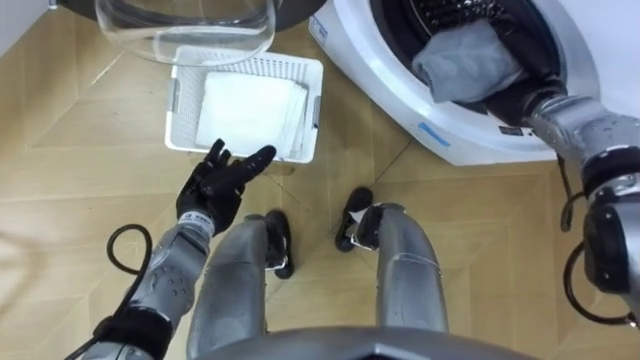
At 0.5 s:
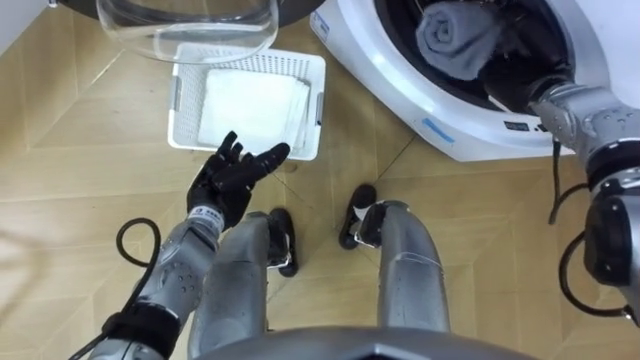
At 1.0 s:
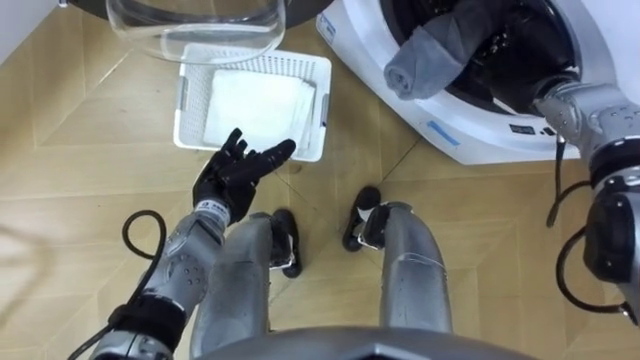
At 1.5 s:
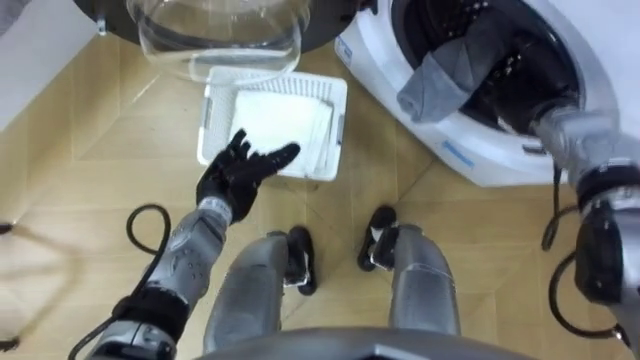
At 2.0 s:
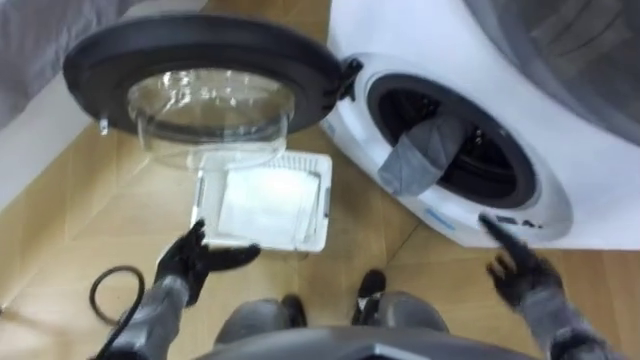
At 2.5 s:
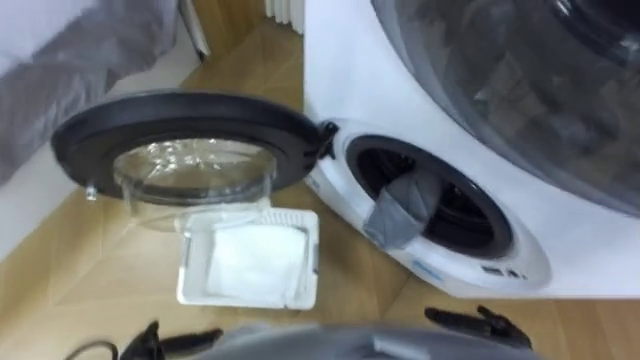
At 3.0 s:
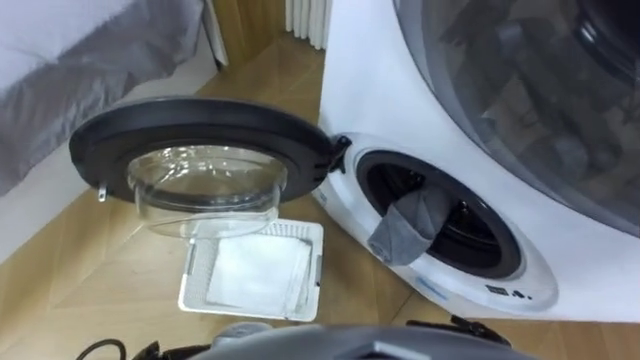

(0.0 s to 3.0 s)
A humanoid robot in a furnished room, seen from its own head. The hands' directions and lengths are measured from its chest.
Task of the whole recording: Take the towel from the basket and put it into the washing machine.
0.0 s - 1.5 s: The right hand opens its fingers.
1.5 s - 3.0 s: The right hand shifts approximately 40 cm backward and downward.

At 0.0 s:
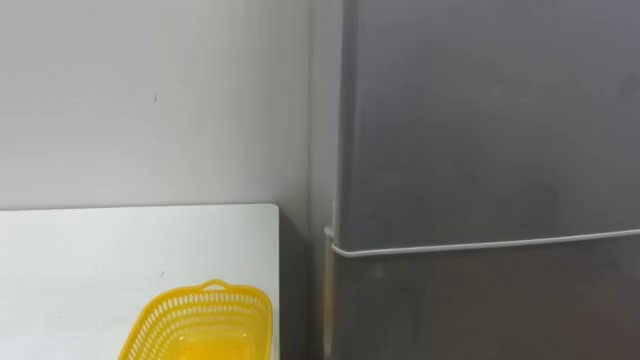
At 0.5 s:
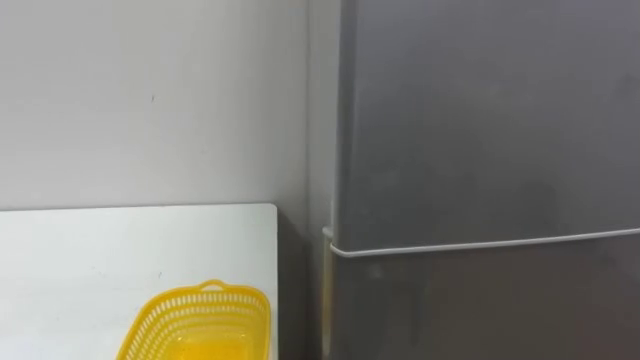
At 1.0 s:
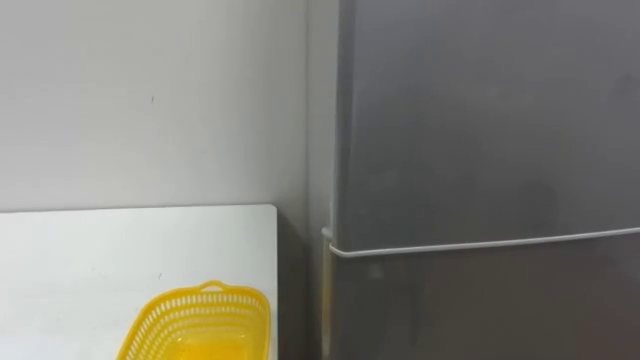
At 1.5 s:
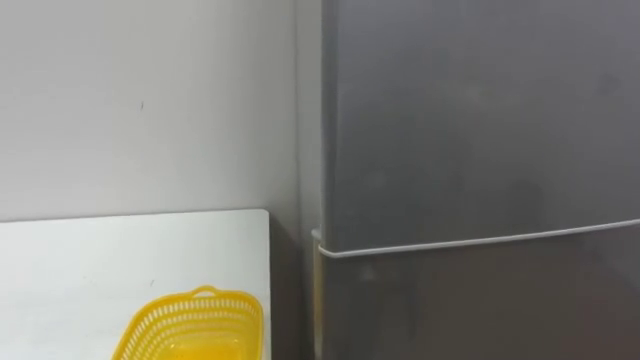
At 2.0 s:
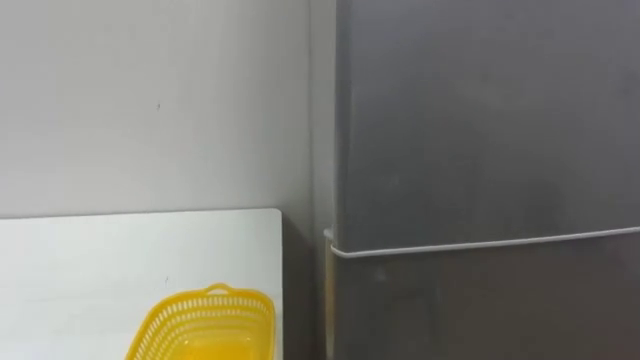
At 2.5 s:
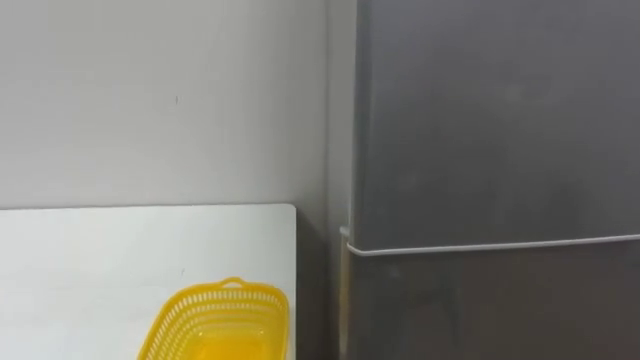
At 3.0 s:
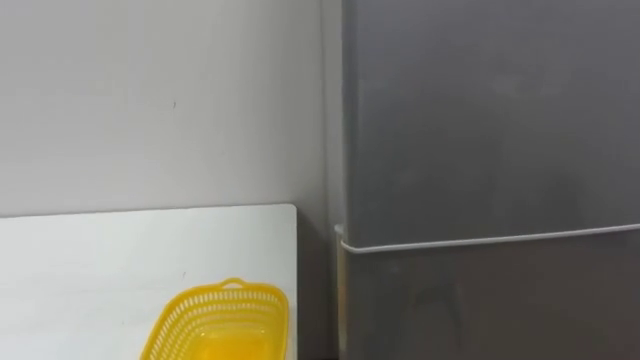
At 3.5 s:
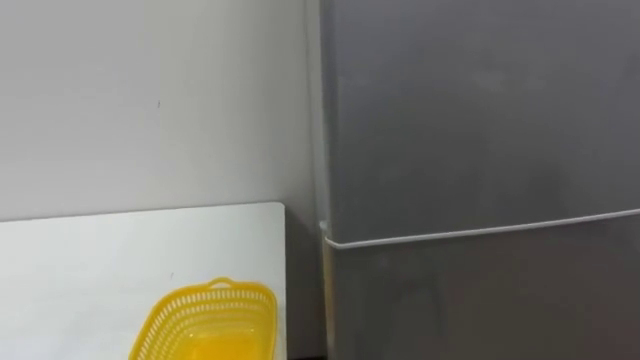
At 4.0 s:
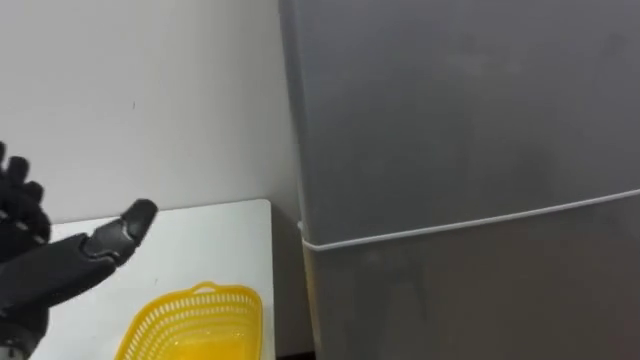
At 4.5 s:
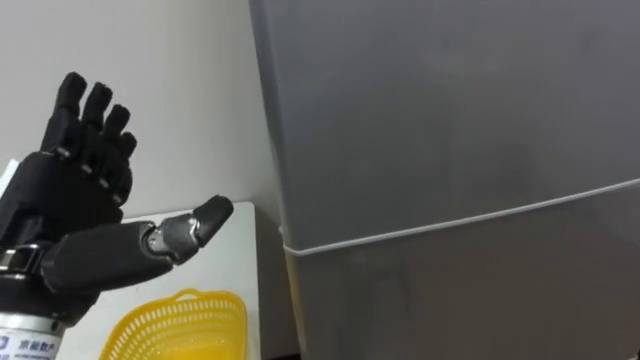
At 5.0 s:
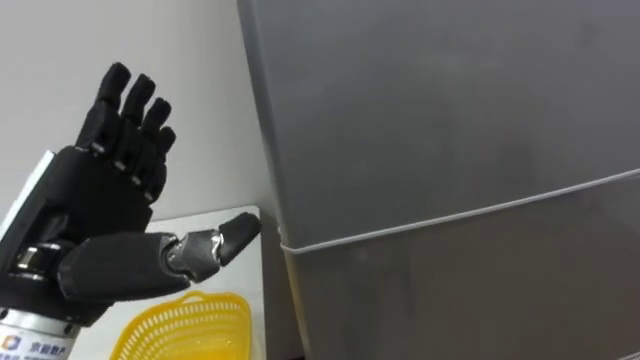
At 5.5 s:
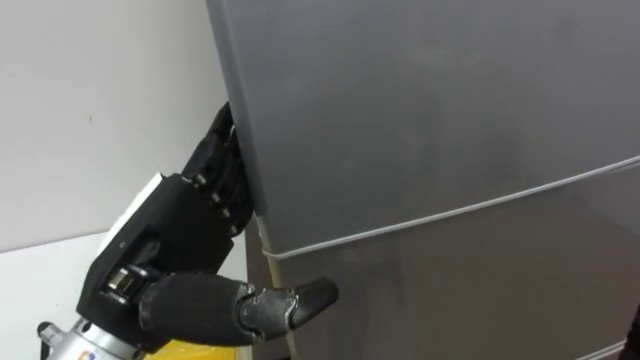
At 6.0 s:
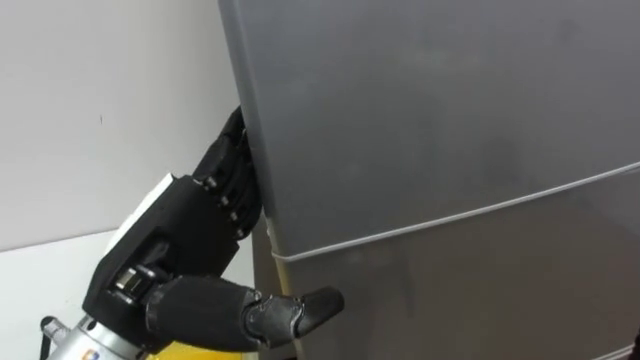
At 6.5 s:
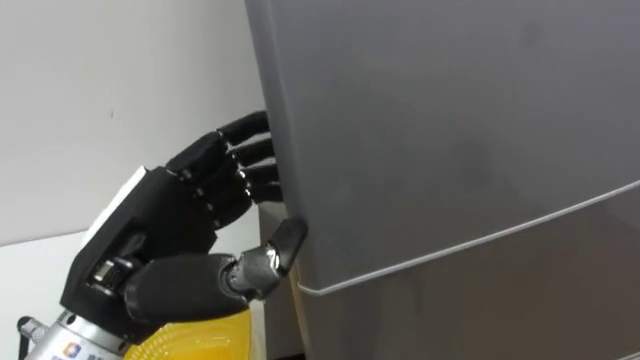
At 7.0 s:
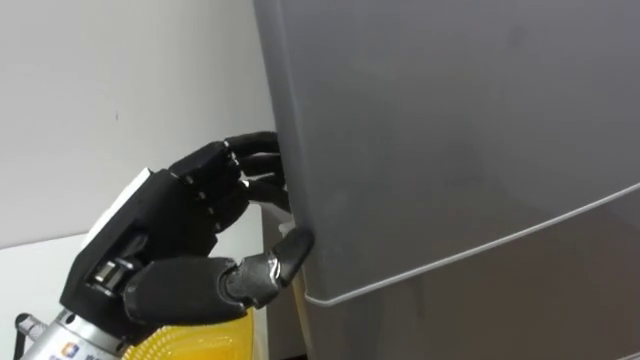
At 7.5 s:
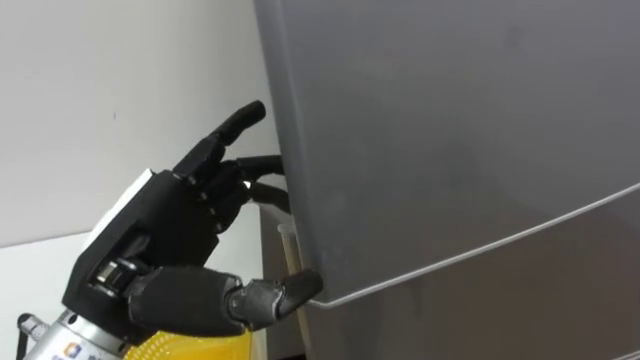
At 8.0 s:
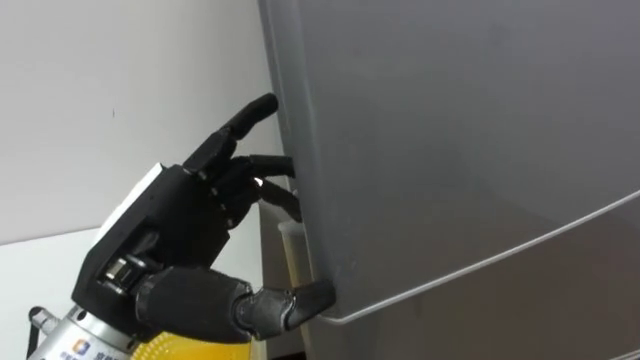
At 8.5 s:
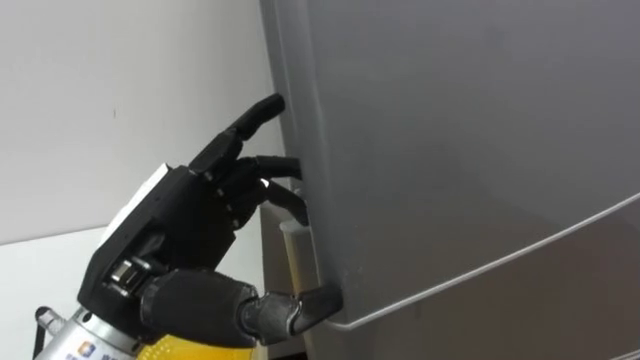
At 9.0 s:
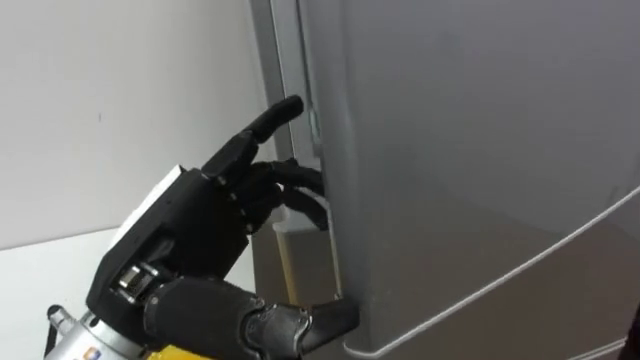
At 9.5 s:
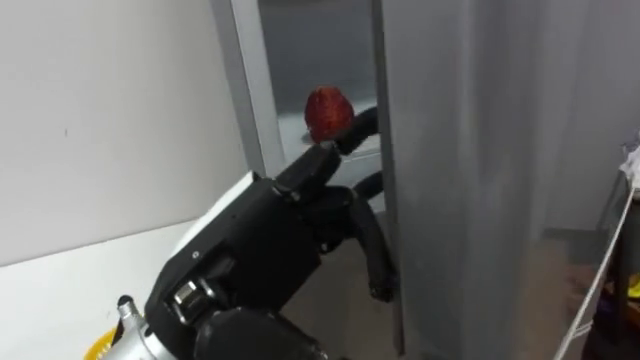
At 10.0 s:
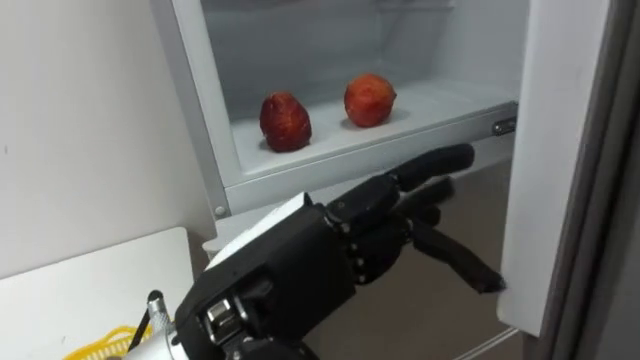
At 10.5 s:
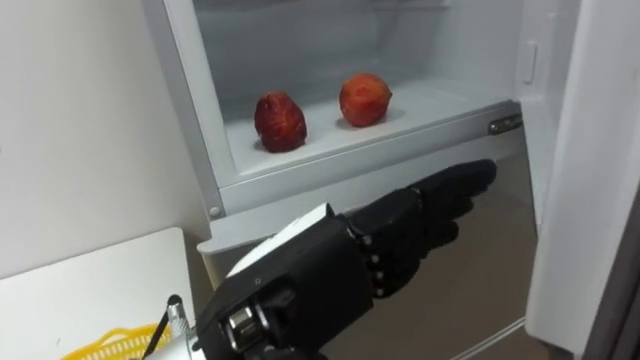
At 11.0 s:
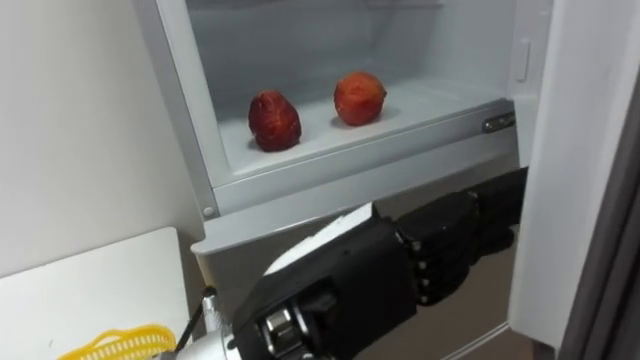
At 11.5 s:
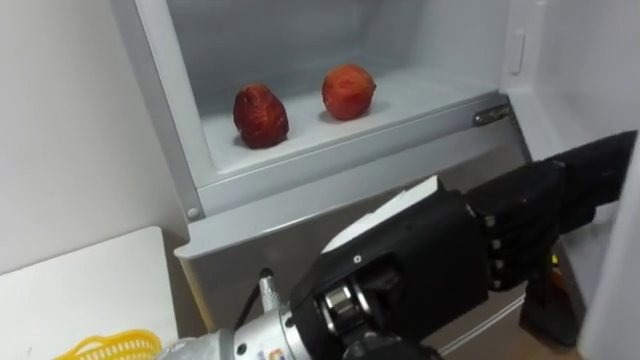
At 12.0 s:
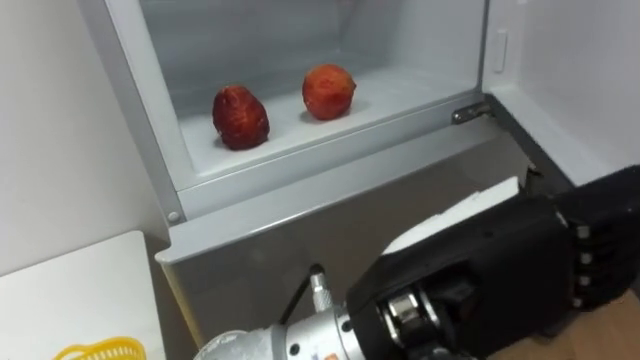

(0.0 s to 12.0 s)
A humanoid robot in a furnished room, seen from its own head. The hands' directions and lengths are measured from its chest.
Task of the whole recording: Open the refrigerator door, take out the apple and the pomegranate, place them in the fruit basket on the left, and close the refrigerator door.
6.0 s - 8.0 s: The left hand closes and opens again.
8.0 s - 10.0 s: The left hand is displaced to the right by some 10 cm.
10.0 s - 12.0 s: The left hand travels to the right by approximately 10 cm.

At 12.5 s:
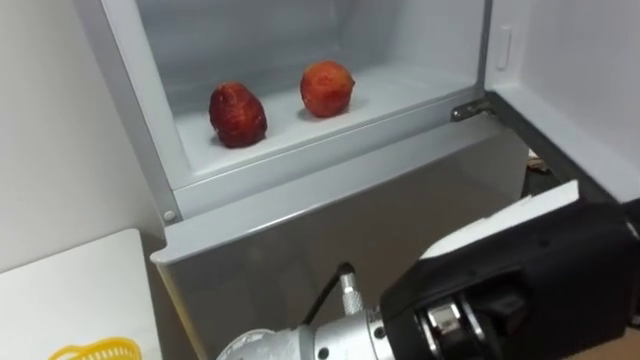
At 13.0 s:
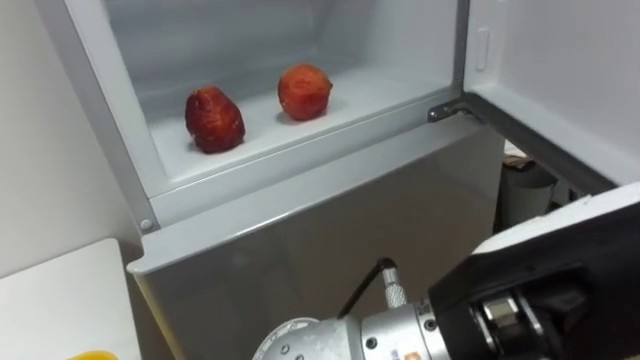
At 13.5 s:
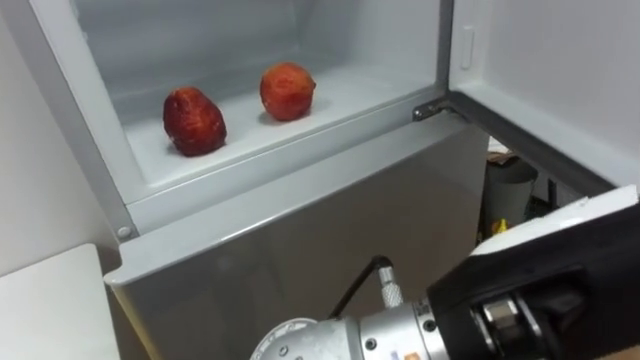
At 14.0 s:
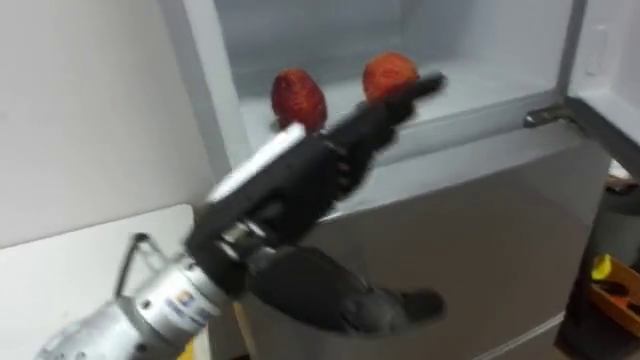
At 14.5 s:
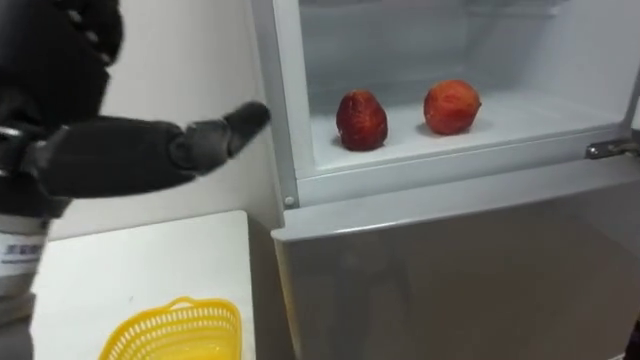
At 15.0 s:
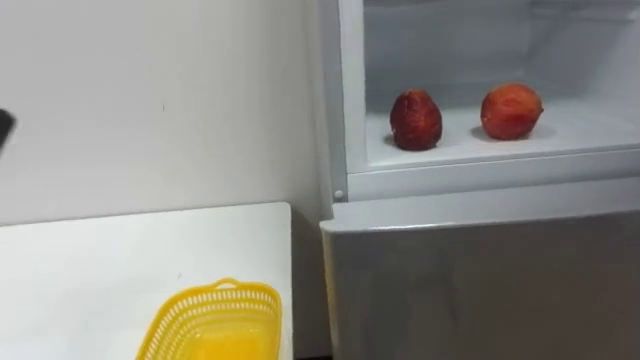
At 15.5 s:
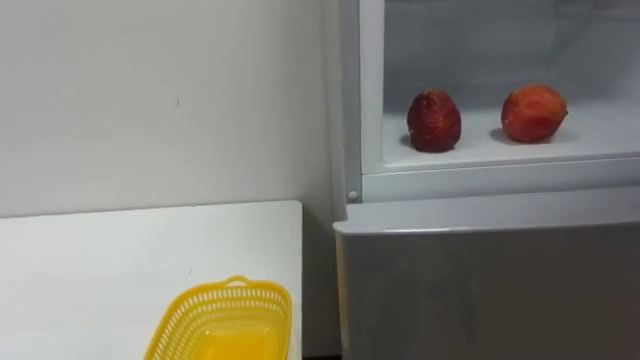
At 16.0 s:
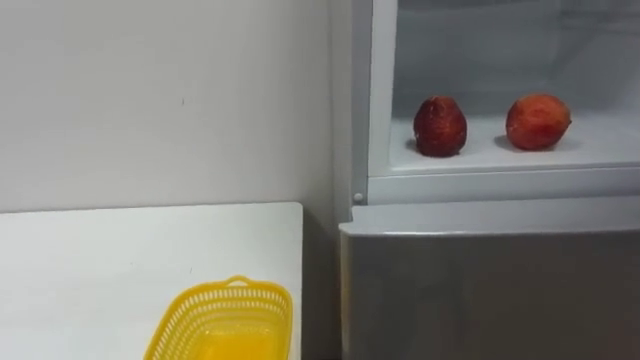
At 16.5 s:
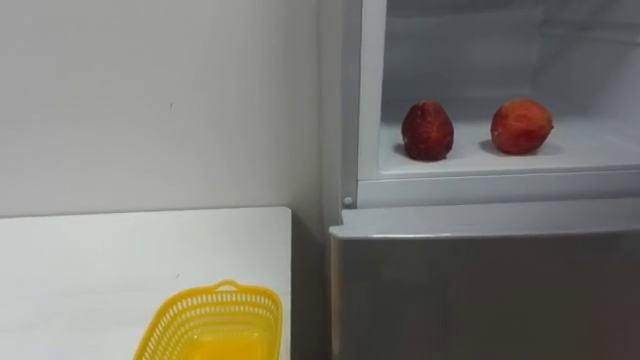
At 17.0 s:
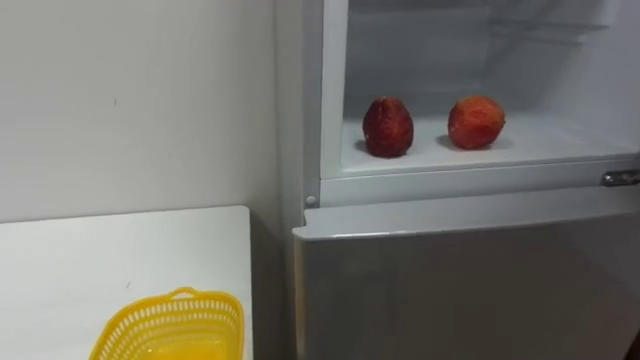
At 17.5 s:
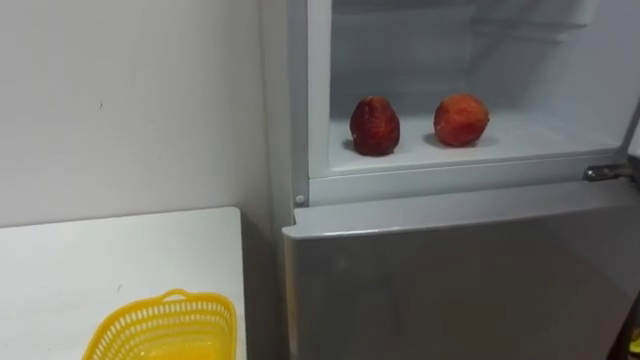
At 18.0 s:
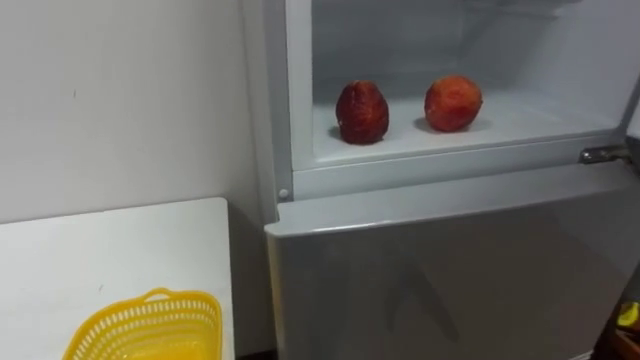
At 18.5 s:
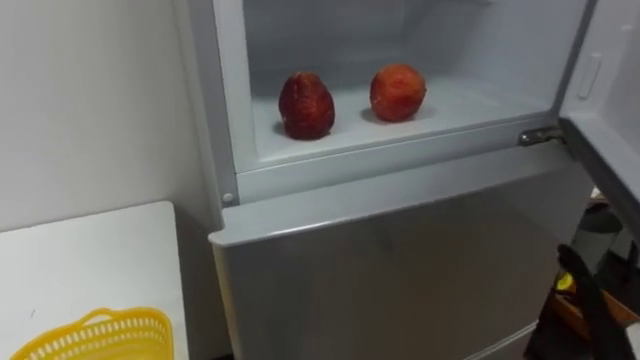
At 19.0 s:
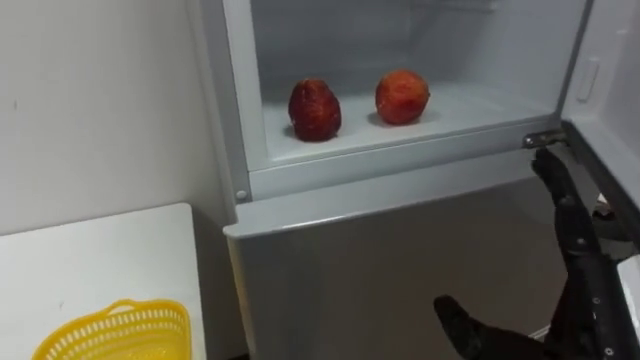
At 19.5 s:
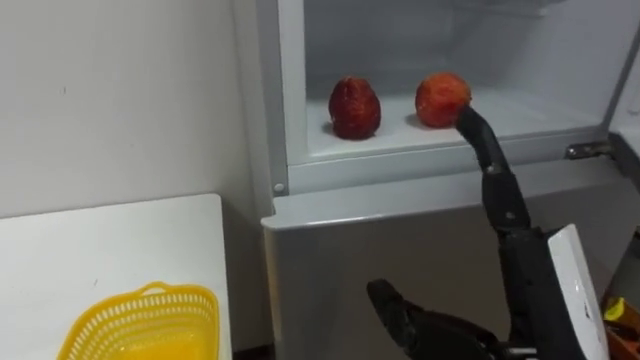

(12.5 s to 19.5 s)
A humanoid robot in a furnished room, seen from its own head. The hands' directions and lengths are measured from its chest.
Task of the whole recording: Open the refrigerator door, take out the apple and the pomegranate, place them in the fruit basket on the left, and close the refrigerator door.
12.5 s - 14.5 s: The left hand is displaced to the left by about 25 cm.
